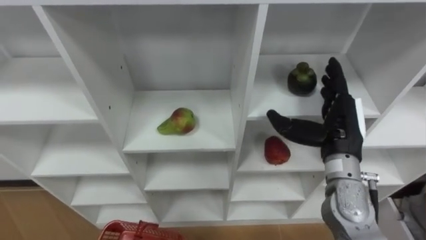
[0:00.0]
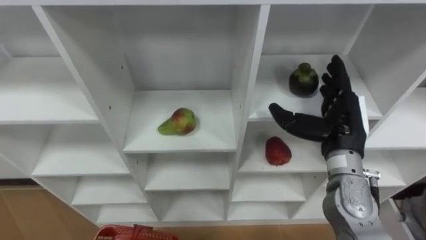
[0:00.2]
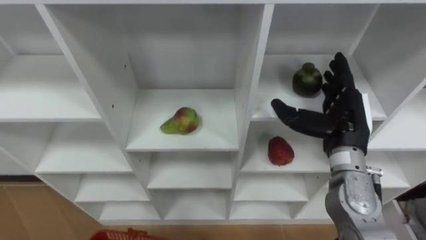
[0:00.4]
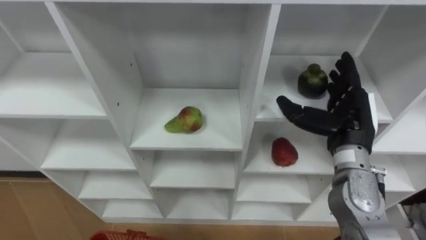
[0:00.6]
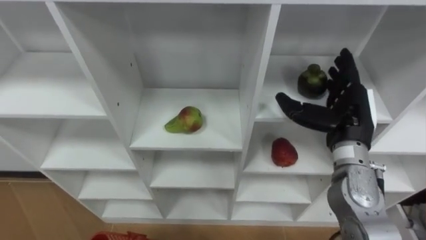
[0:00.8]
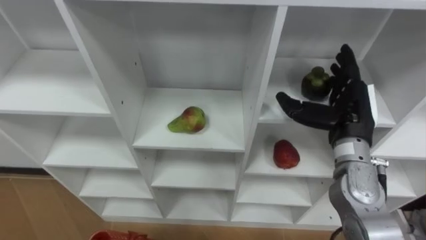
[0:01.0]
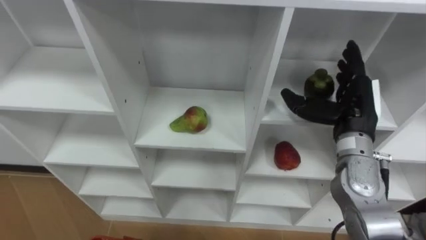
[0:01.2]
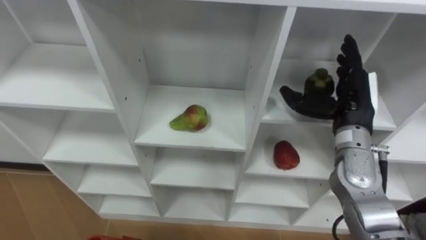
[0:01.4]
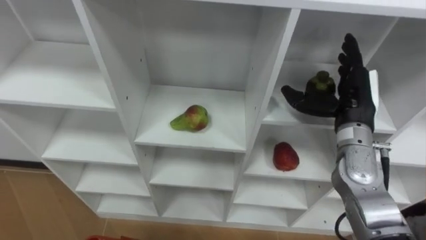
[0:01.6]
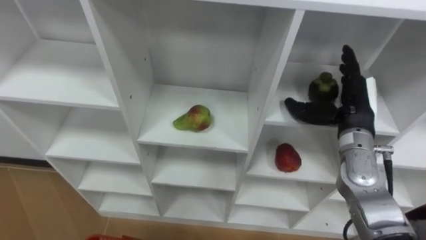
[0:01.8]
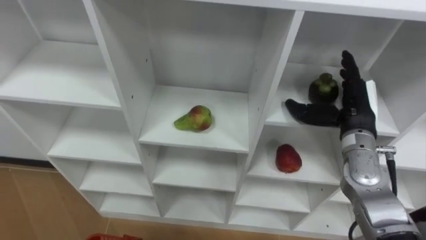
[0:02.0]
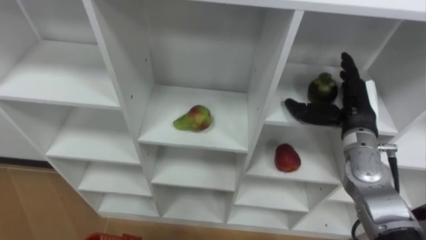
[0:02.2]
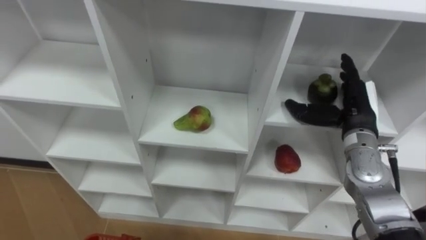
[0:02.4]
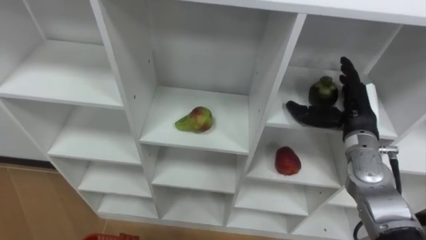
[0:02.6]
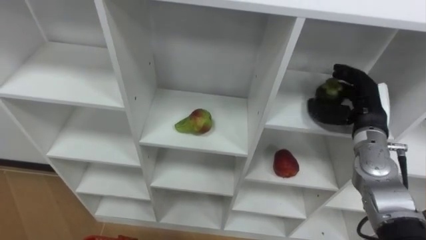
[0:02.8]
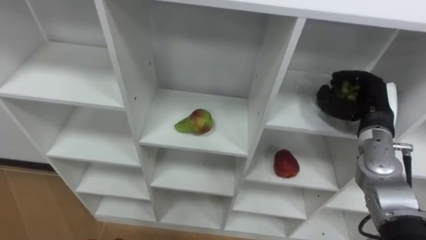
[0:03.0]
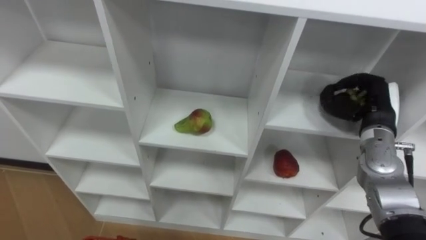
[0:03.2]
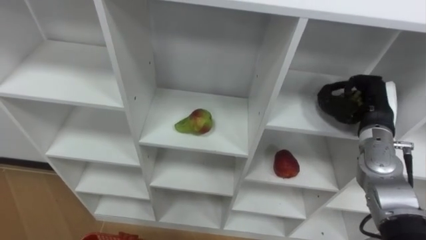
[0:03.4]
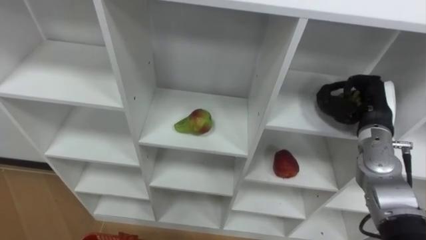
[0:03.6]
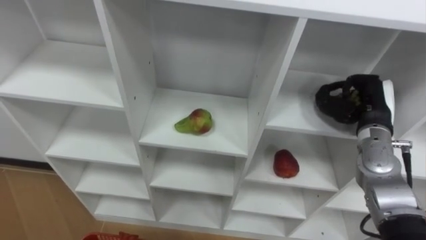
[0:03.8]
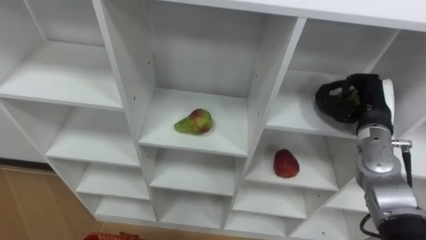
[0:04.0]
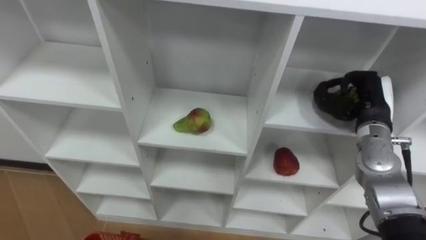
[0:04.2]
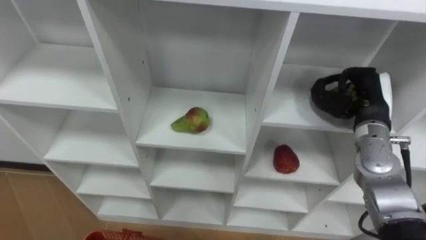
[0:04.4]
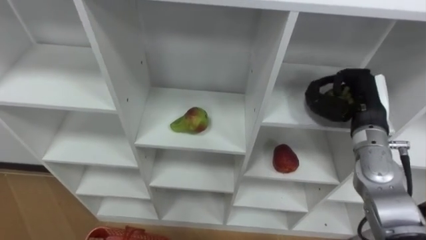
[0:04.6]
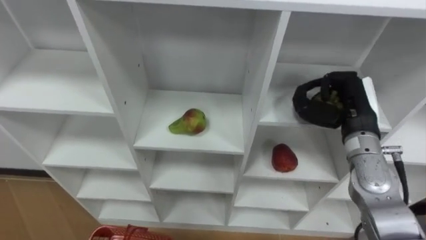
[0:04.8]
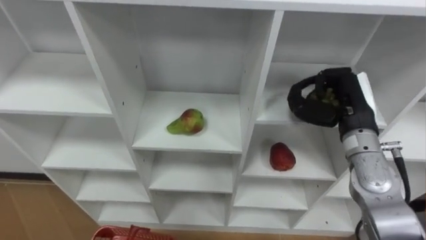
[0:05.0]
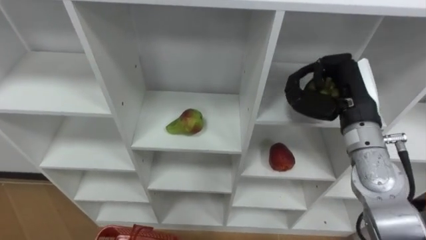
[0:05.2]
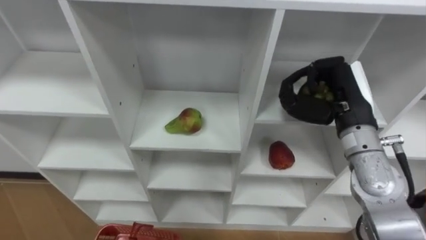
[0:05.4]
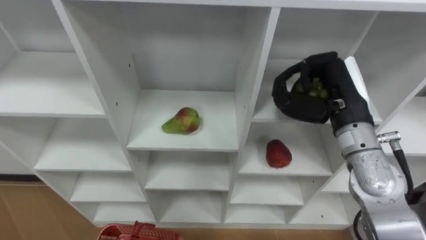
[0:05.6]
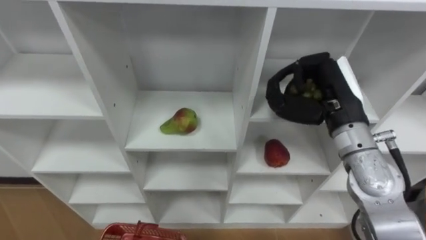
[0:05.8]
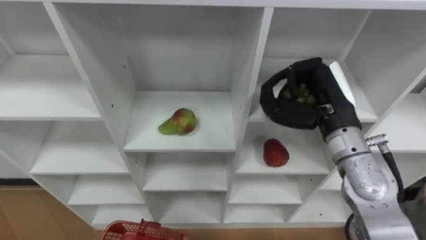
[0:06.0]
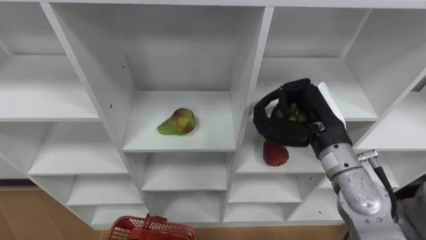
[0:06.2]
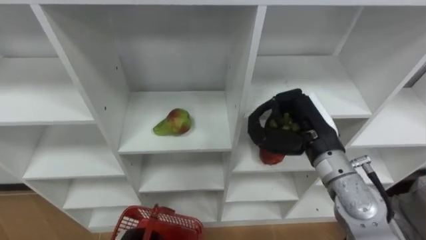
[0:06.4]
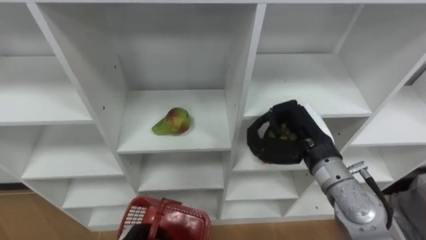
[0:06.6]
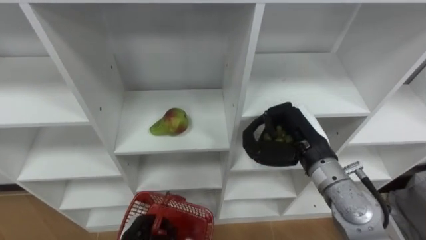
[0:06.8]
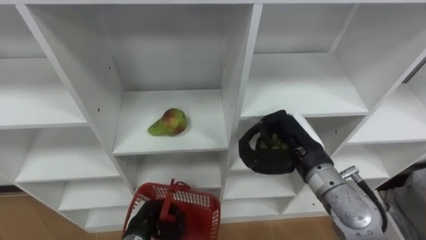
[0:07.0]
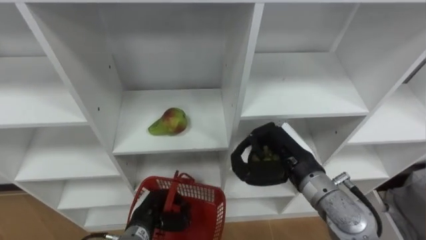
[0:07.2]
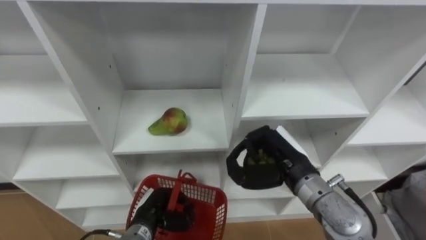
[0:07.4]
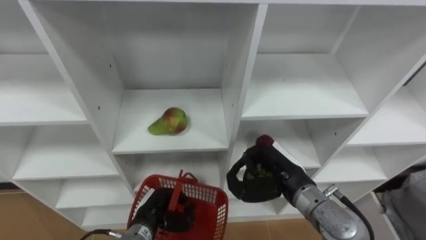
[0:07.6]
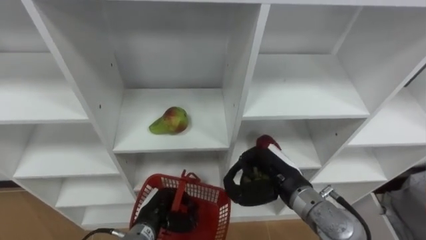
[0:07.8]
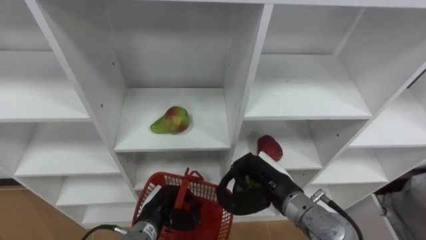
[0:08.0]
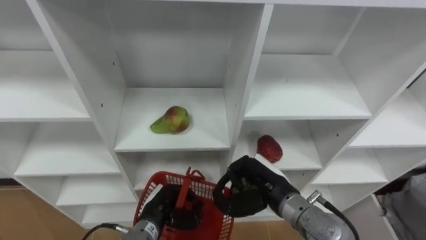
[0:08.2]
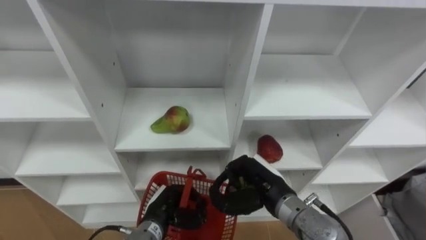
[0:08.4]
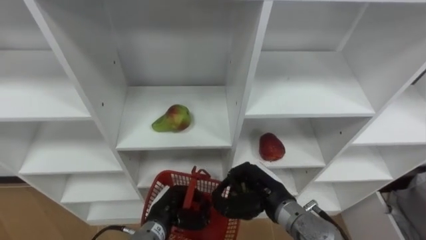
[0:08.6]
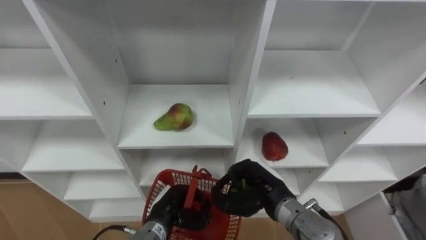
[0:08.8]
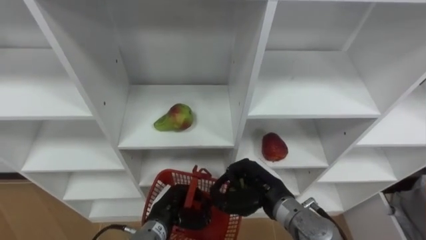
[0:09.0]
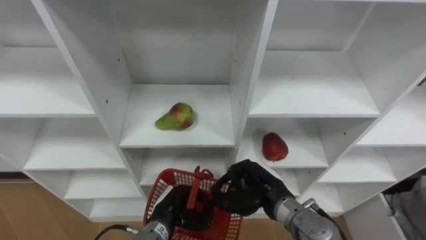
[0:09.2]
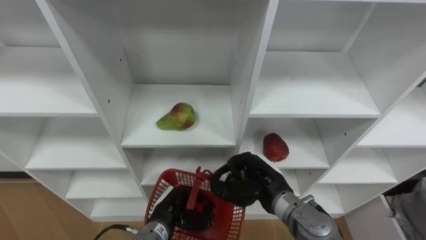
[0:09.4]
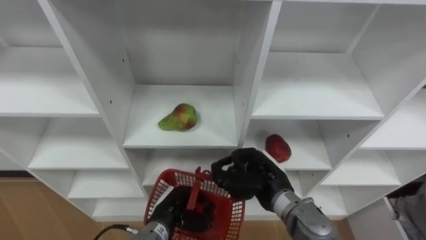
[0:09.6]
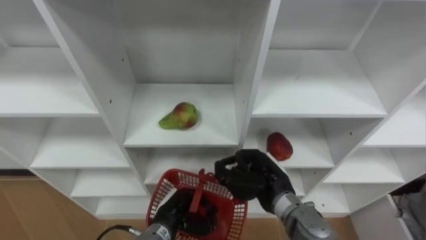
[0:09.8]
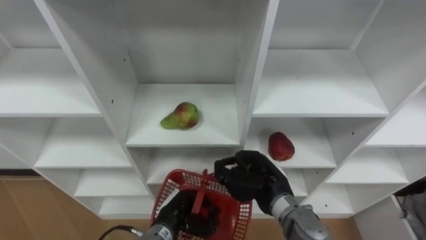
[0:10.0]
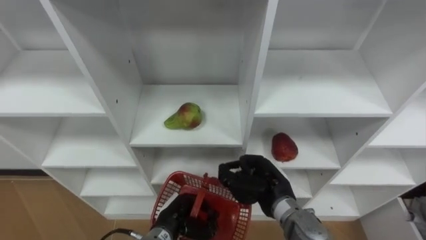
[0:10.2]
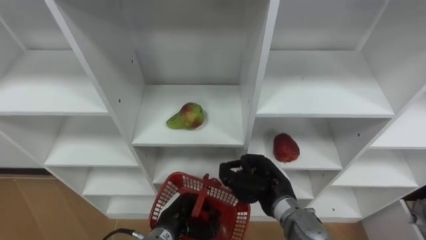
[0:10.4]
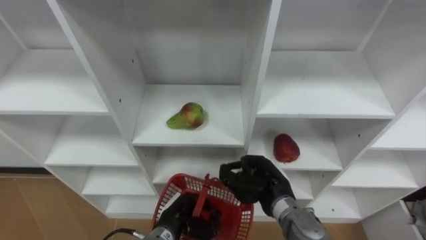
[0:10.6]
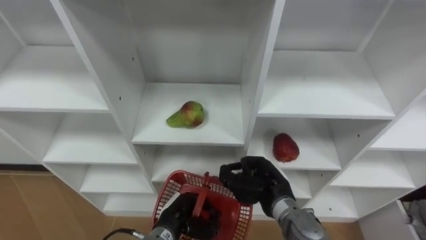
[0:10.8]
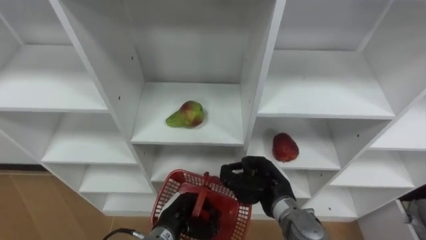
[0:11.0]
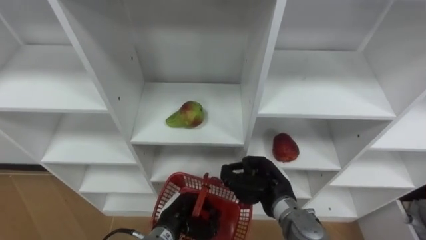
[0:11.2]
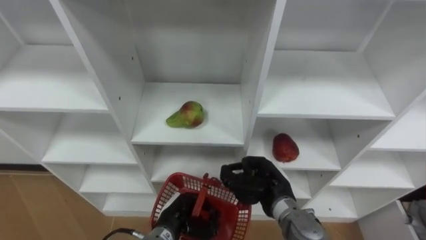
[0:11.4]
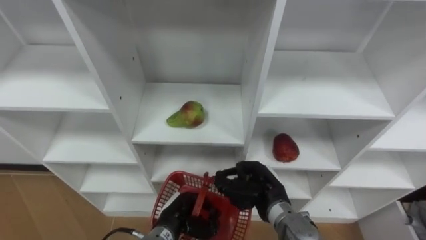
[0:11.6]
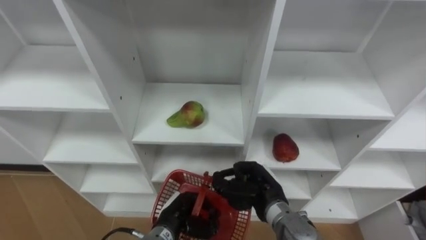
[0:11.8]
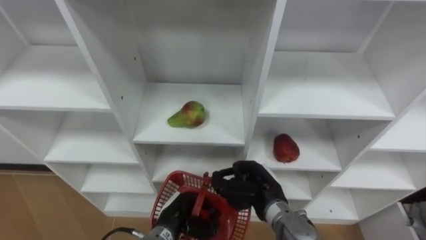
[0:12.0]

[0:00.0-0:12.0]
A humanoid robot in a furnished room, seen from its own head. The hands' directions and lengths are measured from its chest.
Task of the whole recording: Hold the basket and collect the fruits from 3 different cells of the closet into it.
0:00.0 to 0:01.6: The right hand ends up some 5 cm from where it was.
0:01.6 to 0:03.0: The right hand moves to the right, about 5 cm, and closes up.
0:03.0 to 0:04.4: The right hand closes its fingers.
0:04.4 to 0:06.0: The right hand heads to the left and upward, covering approximately 10 cm.
0:06.0 to 0:07.6: The right hand goes about 15 cm downward, backward and to the left.
0:07.6 to 0:09.0: The right hand shifts by some 5 cm.
0:10.4 to 0:12.0: The hands make only small movements.

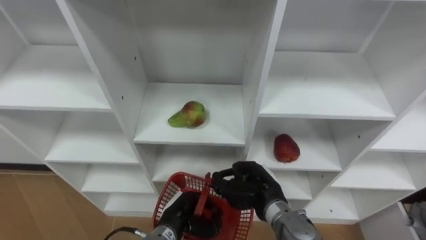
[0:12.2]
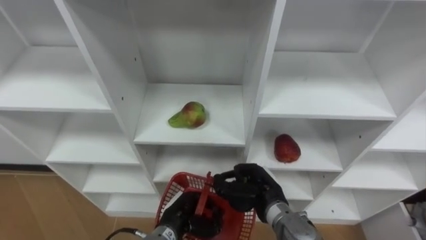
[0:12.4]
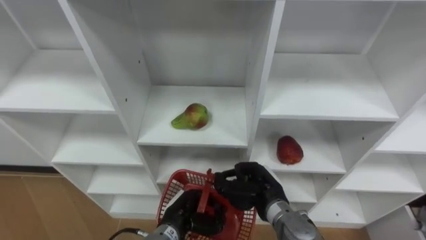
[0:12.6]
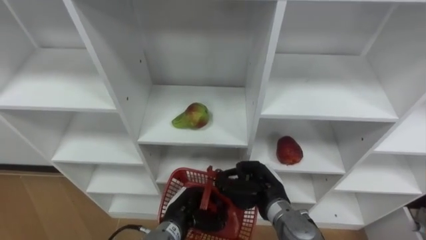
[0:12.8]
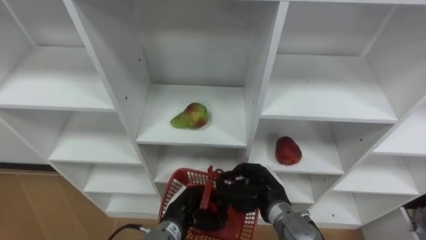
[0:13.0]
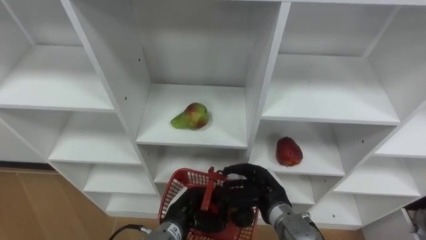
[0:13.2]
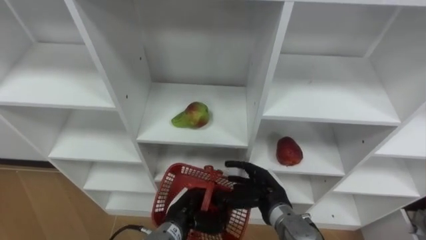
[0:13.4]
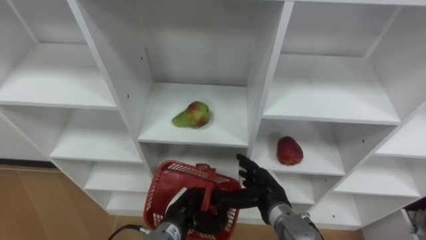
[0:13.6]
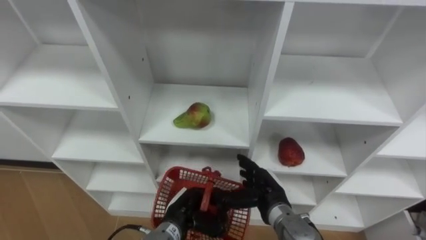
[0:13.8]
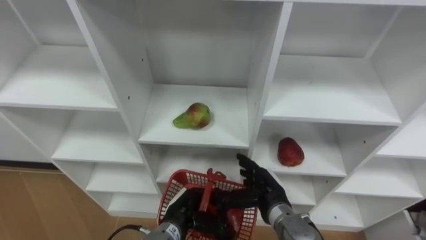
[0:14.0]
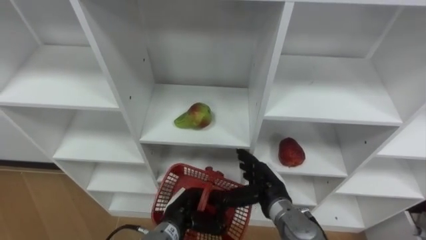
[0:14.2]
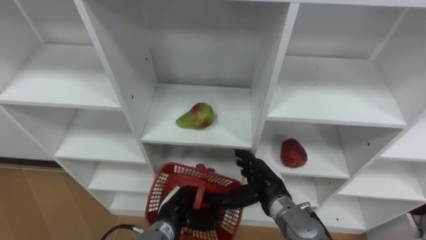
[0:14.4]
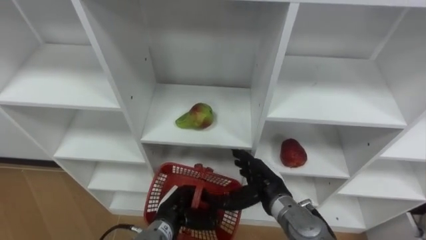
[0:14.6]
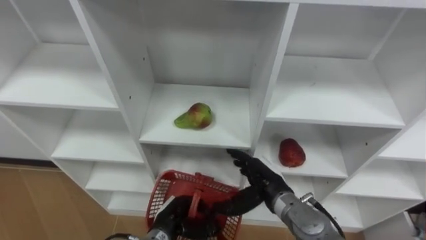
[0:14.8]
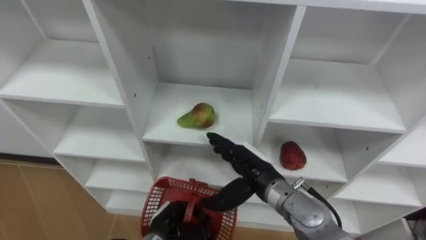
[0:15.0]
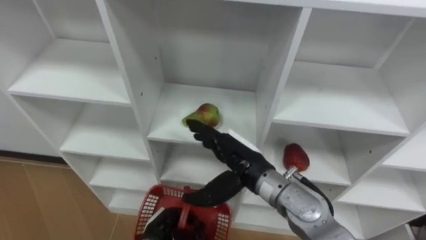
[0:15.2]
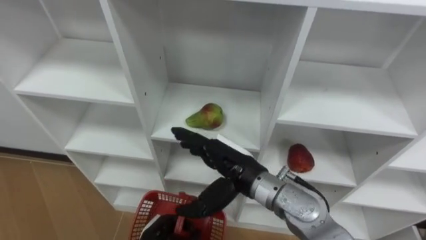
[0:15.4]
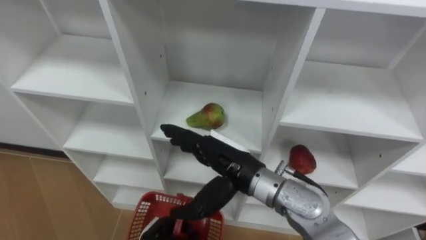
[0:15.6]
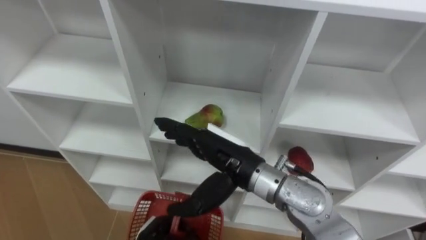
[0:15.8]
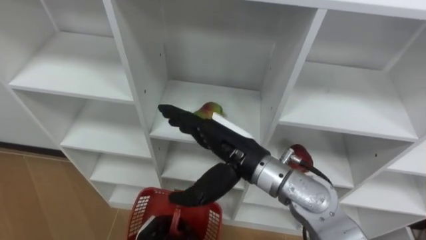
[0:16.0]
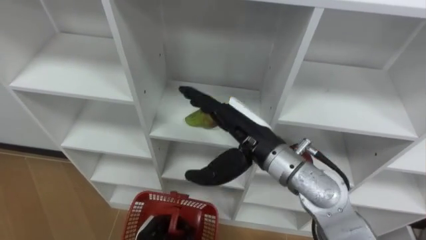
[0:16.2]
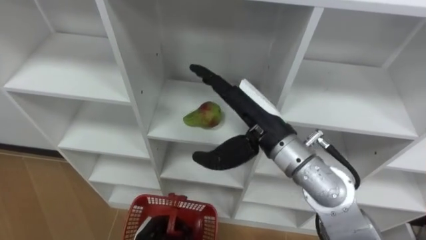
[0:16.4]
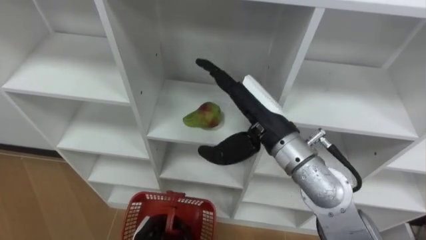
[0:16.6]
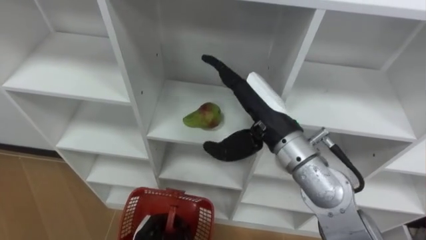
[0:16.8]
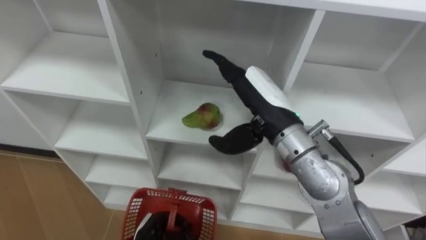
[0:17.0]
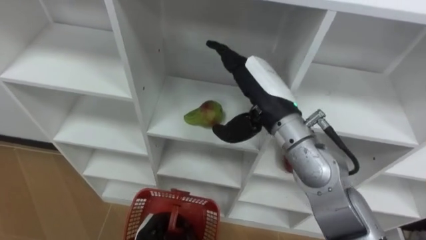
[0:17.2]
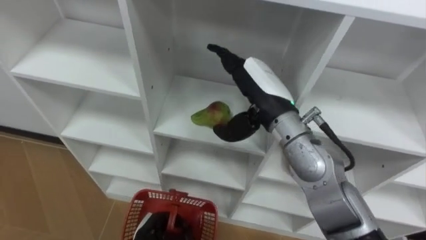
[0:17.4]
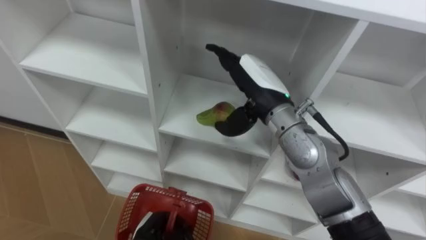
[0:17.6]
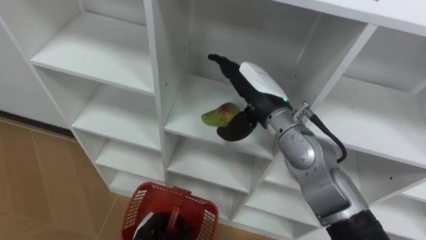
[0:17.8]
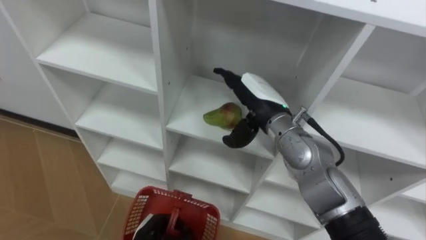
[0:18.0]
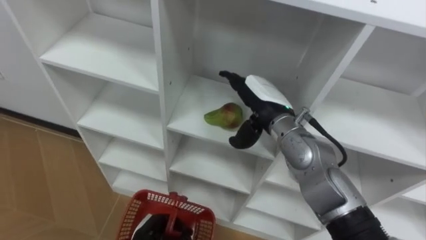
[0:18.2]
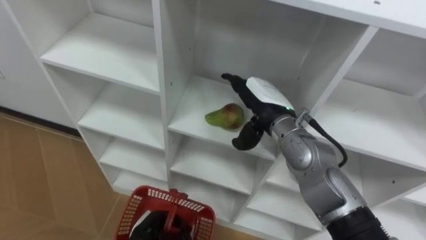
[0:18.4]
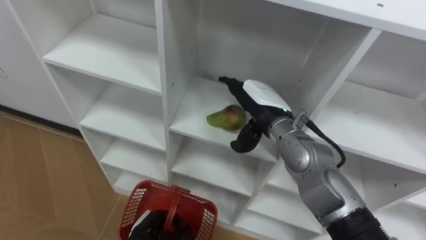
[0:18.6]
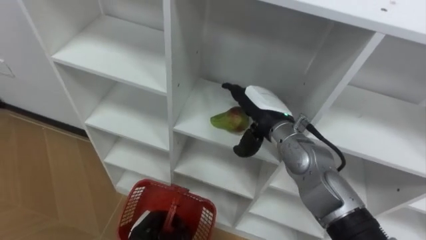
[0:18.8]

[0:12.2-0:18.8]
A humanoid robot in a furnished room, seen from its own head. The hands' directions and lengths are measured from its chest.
Task of the whole recording: Hold the basket and collect the fruits from 3 different cells of the closet into it.
0:12.2 to 0:13.8: The right hand opens up.
0:13.8 to 0:15.4: The right hand shifts approximately 15 cm upward and to the left. The left hand goes approximately 5 cm to the left.
0:15.4 to 0:17.2: The right hand heads upward and forward, covering some 10 cm.
0:17.2 to 0:18.8: The right hand travels downward by approximately 10 cm.
